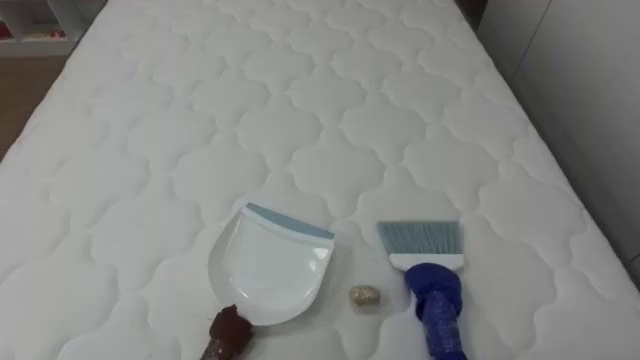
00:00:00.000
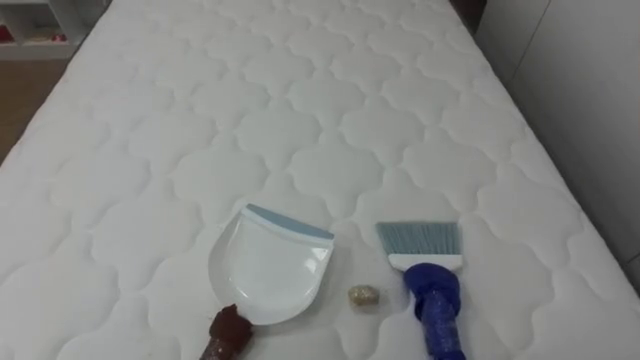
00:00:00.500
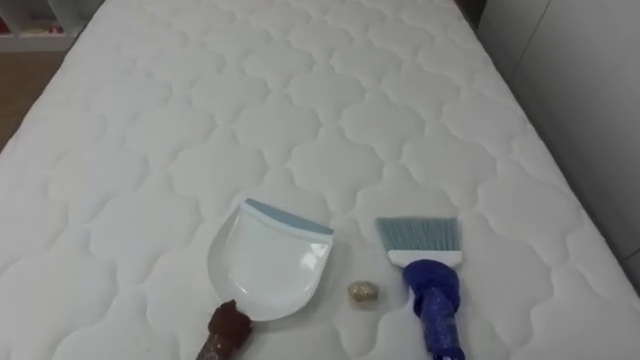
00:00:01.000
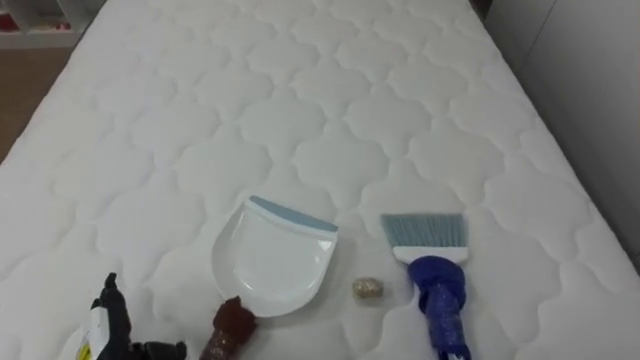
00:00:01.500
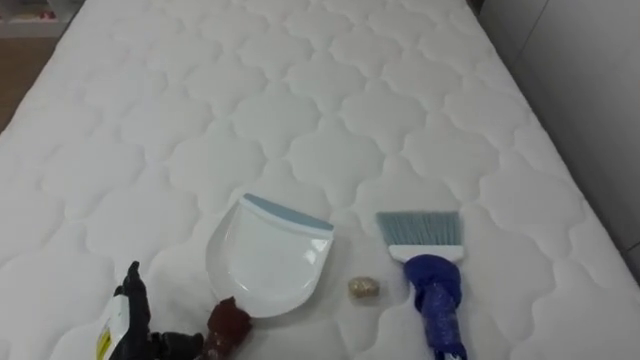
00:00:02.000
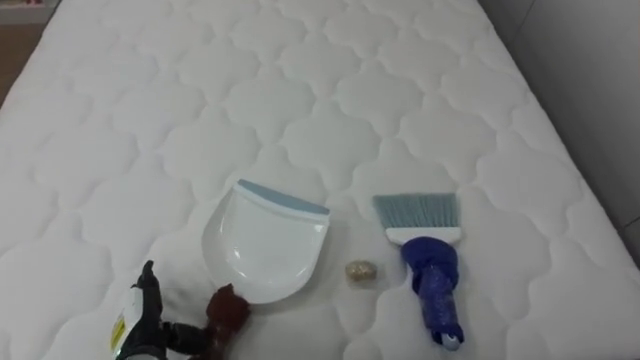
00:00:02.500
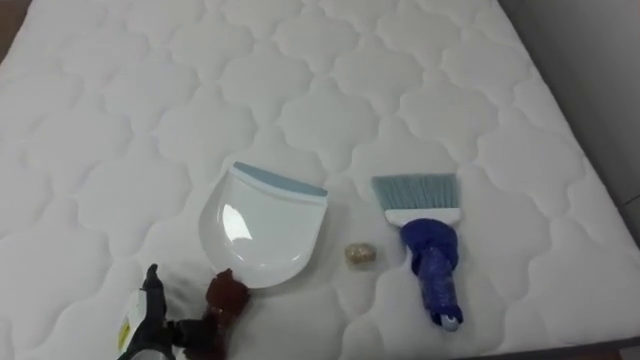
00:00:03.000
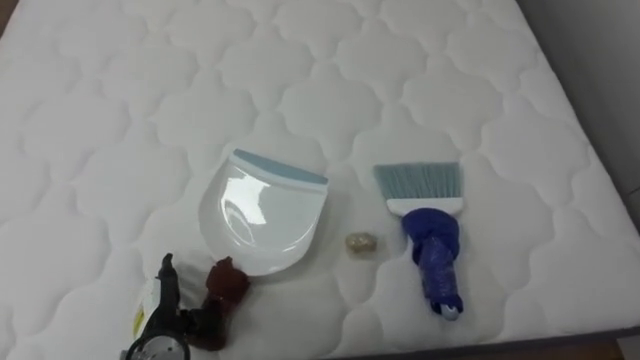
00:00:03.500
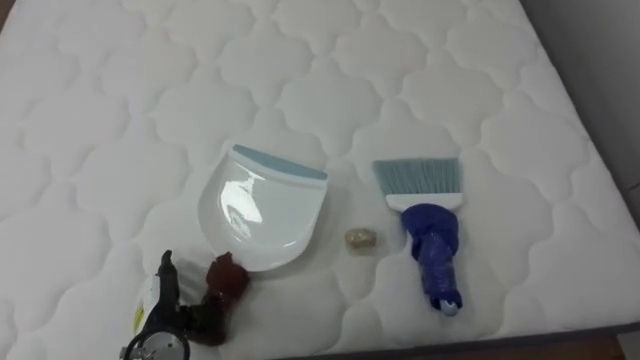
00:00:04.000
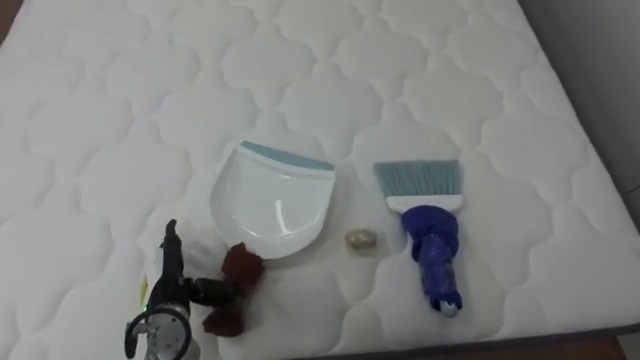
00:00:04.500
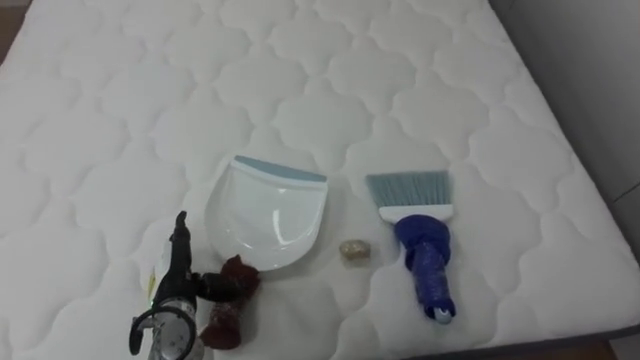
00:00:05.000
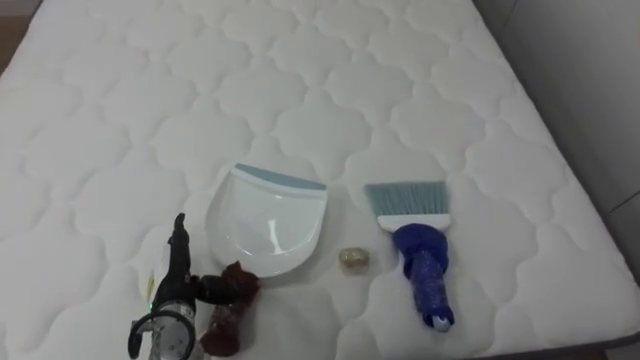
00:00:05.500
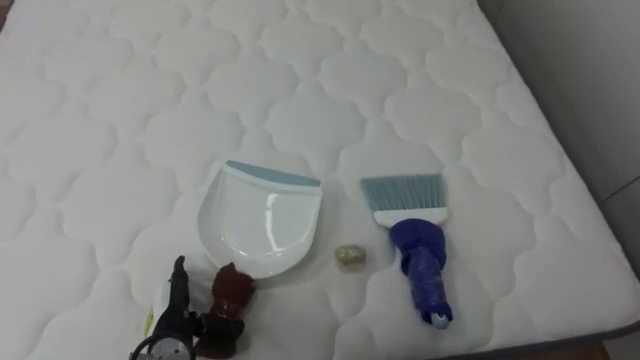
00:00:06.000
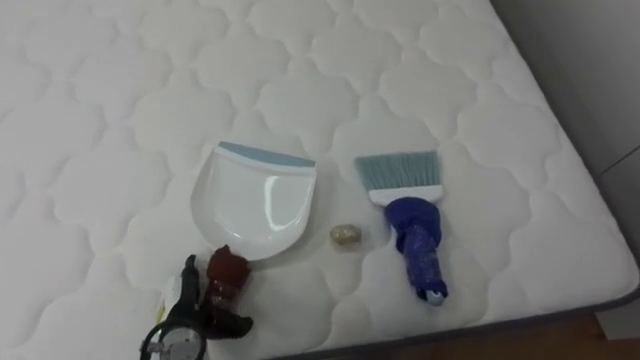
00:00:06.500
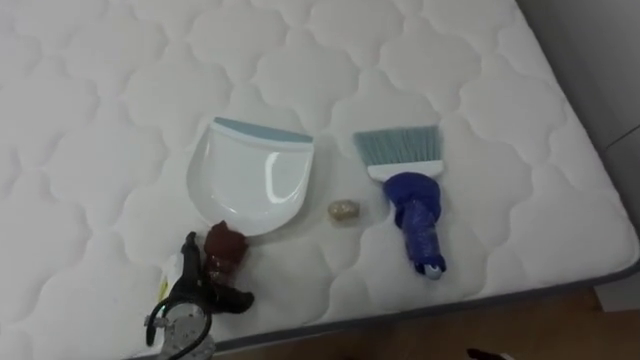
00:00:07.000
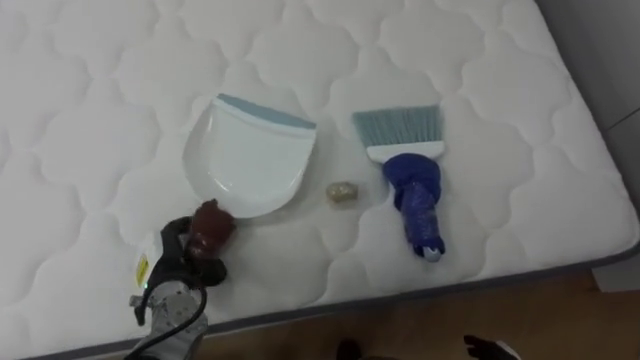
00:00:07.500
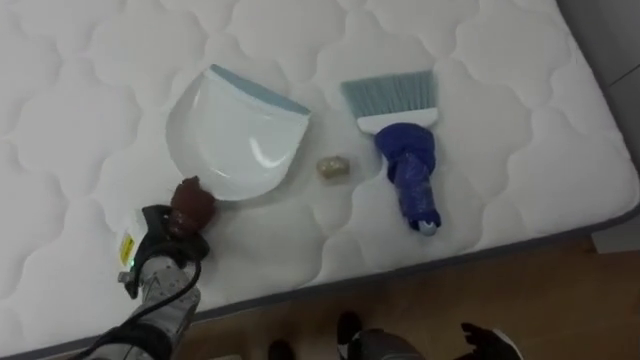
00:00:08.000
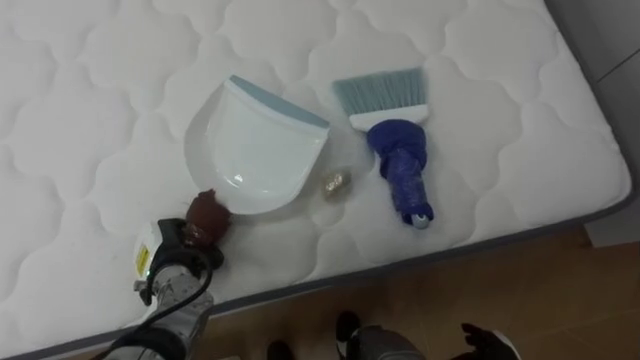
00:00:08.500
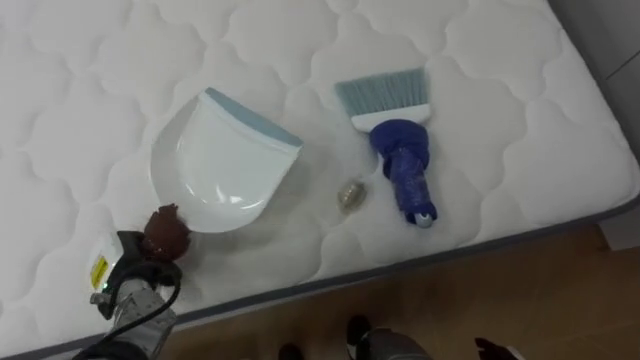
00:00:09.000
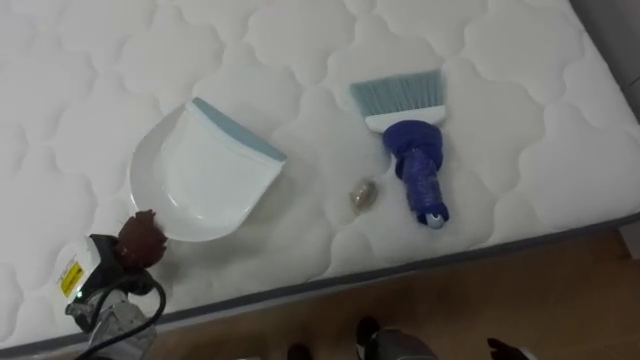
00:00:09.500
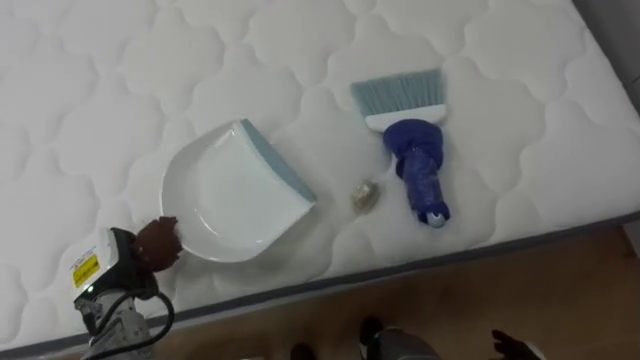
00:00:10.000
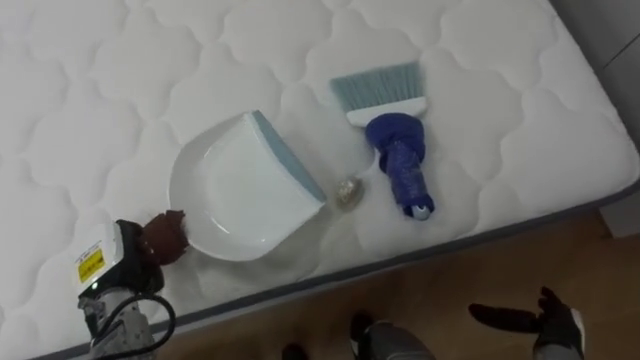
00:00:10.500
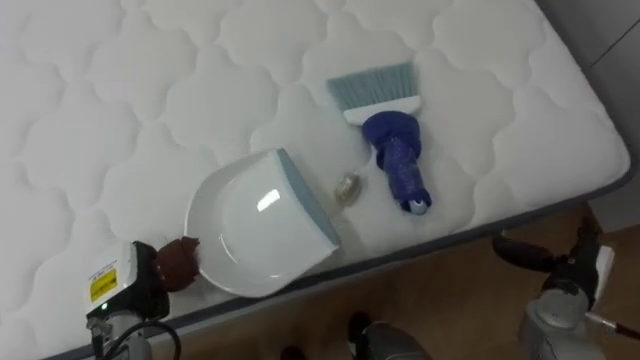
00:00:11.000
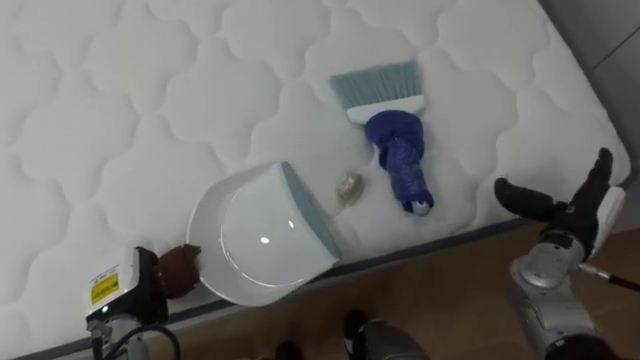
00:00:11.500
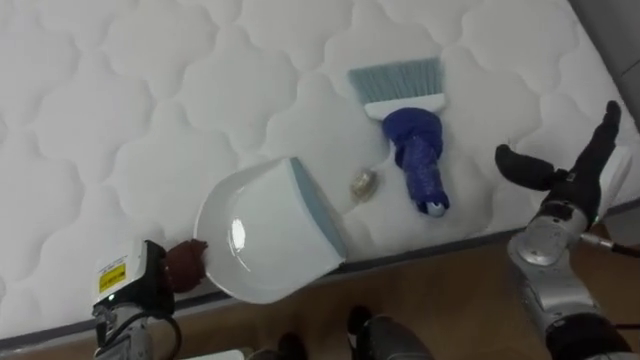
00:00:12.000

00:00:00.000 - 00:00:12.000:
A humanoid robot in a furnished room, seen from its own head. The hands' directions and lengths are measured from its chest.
Task of the whole recording: Pick up the brush on your right and the dustpan on your left. Use the brush to sweep the crumpled paper on the bed into the dustpan, then turn left and empty it into the basket.
00:00:02.000 - 00:00:04.000: The left hand ends up some 5 cm from where it was.
00:00:06.000 - 00:00:08.000: The left hand heads forward and upward, covering approximately 10 cm, and closes.
00:00:08.000 - 00:00:10.000: The left hand is displaced to the left by about 5 cm.

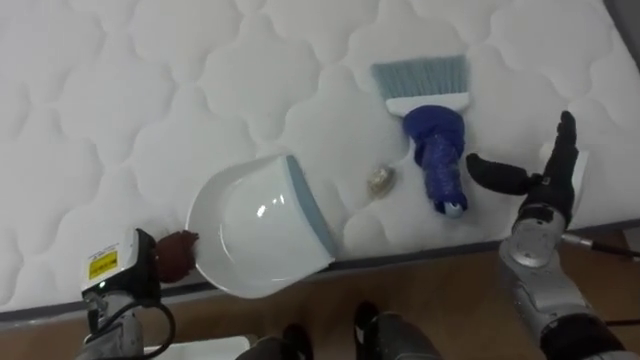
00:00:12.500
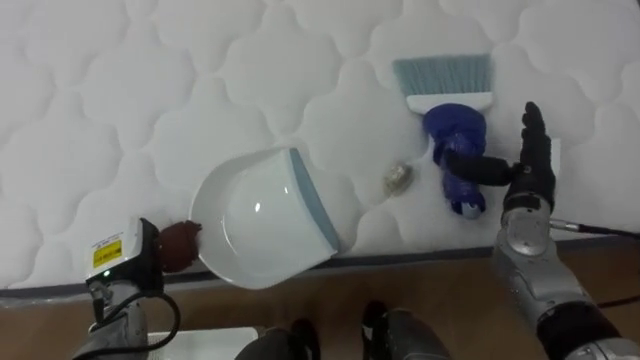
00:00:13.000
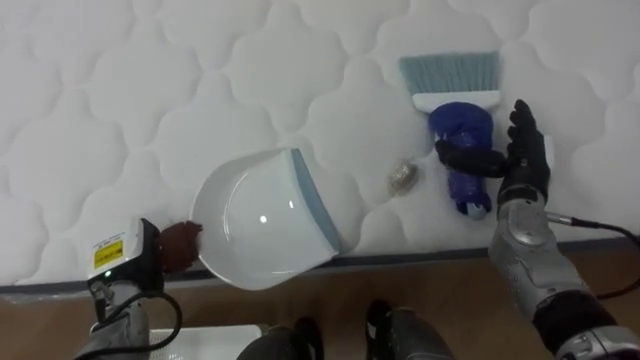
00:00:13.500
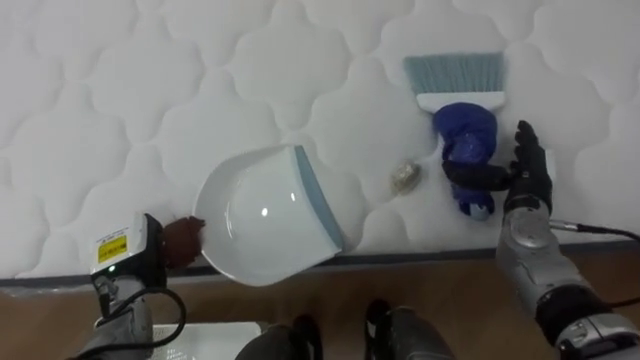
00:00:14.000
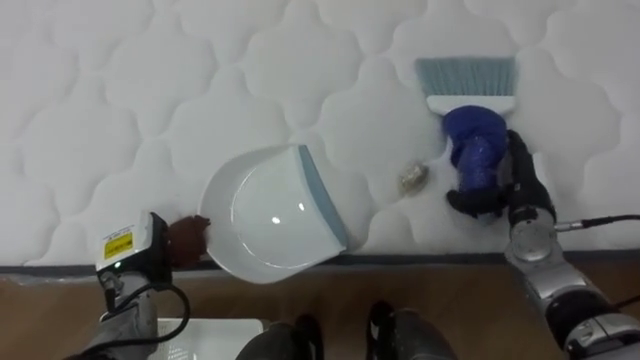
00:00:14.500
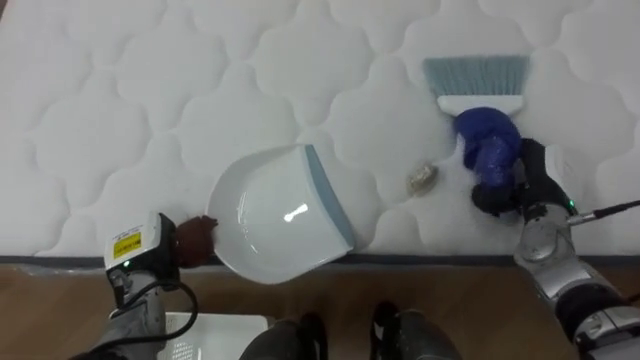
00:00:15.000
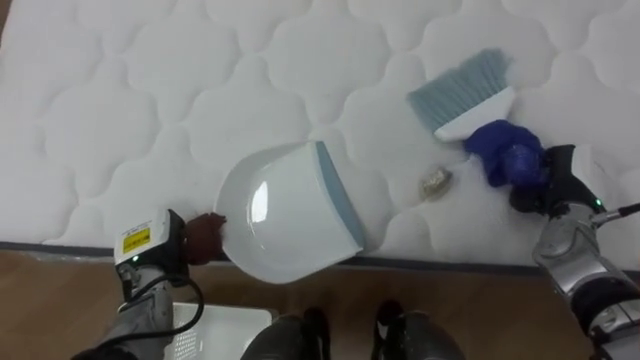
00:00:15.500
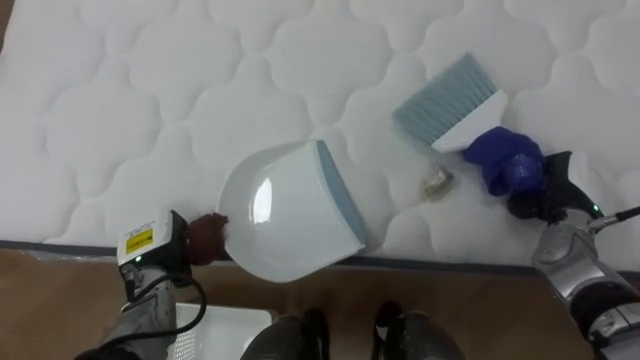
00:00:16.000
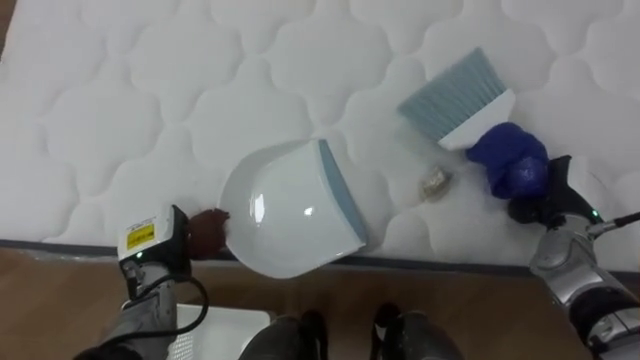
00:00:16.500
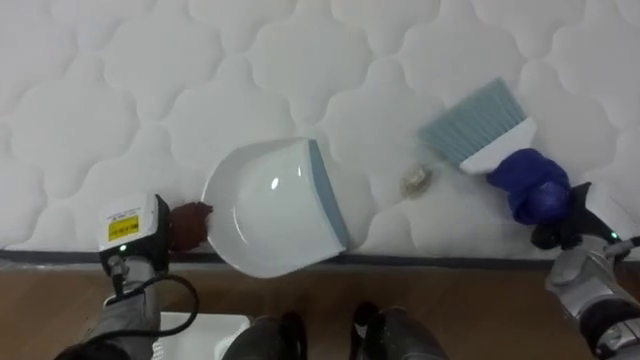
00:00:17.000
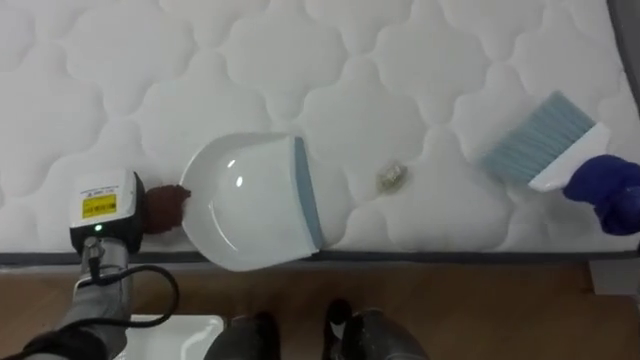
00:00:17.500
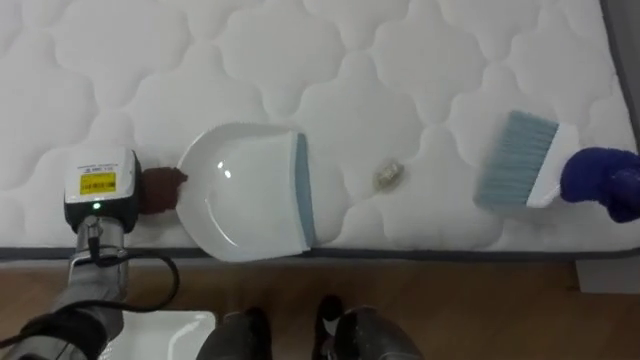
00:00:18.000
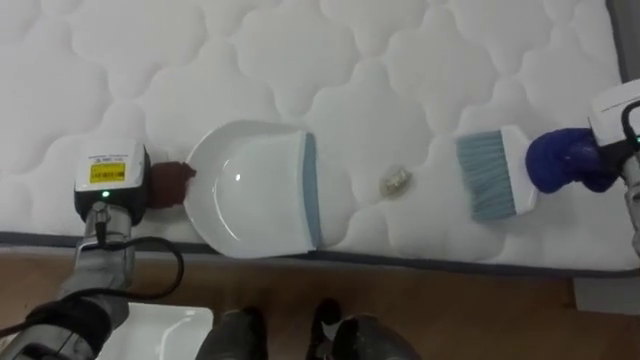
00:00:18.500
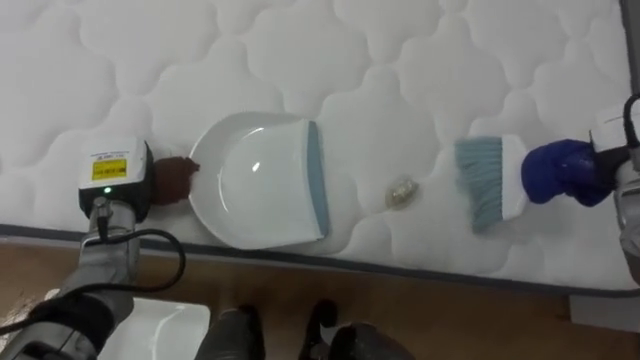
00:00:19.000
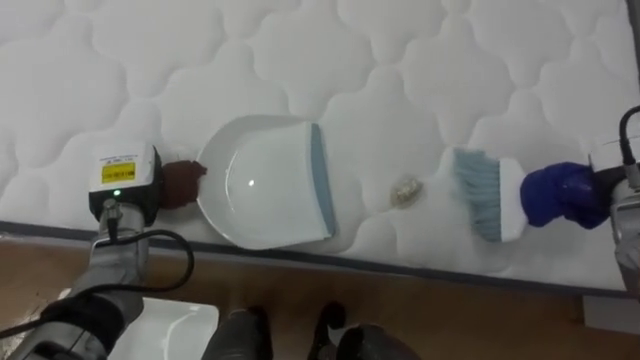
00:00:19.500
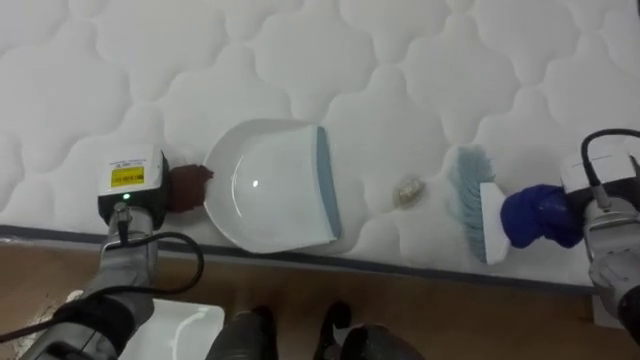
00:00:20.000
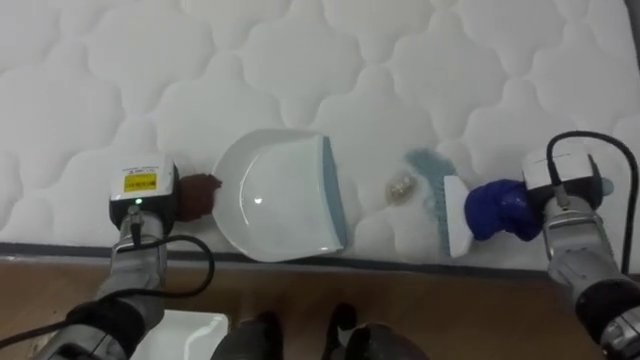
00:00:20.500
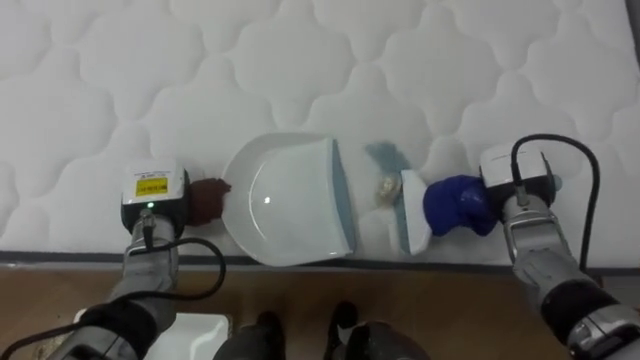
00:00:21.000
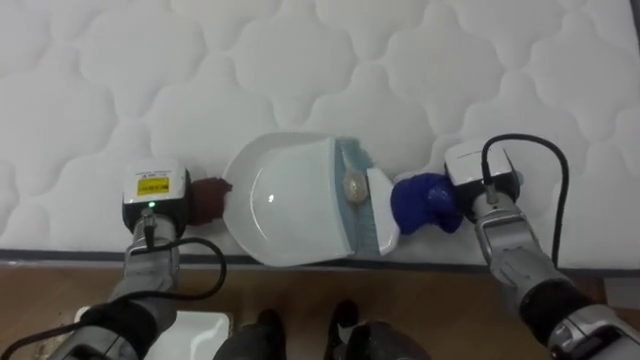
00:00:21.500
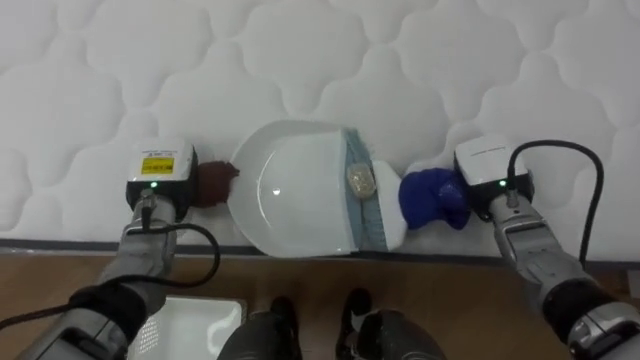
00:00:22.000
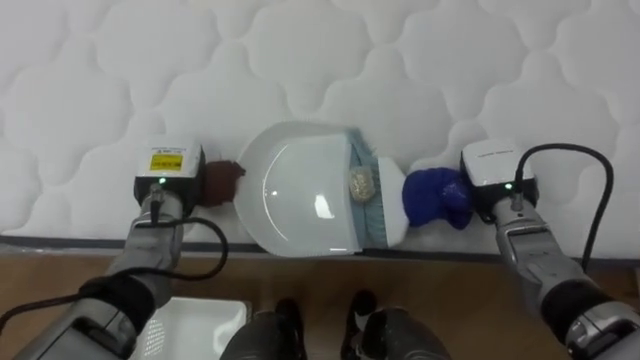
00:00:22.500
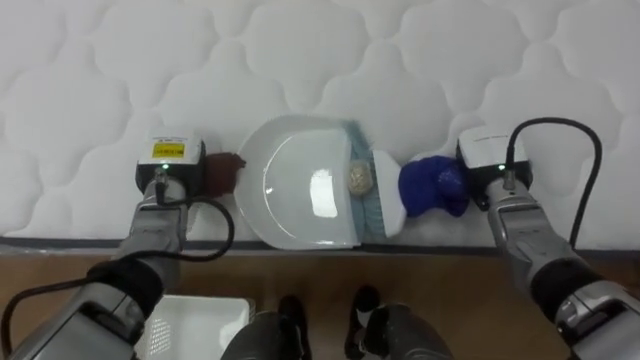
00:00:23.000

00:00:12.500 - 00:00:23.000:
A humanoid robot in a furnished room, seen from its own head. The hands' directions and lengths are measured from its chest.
Task of the whole recording: Pick up the brush on your right and the dustpan on your left. Use the brush to sweep the crumpled paper on the bed into the dustpan, then turn left and empty it into the basket.
00:00:14.500 - 00:00:16.500: The right hand moves to the right, some 5 cm, and closes its fingers.
00:00:16.500 - 00:00:19.000: The left hand travels upward and forward by roughly 10 cm.
00:00:19.000 - 00:00:21.000: The left hand changes place by about 5 cm. The right hand is displaced to the left and downward by some 15 cm.
00:00:21.000 - 00:00:23.000: The left hand ends up roughly 5 cm from where it was.
